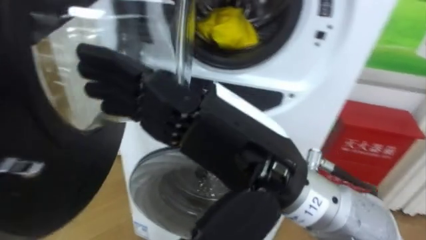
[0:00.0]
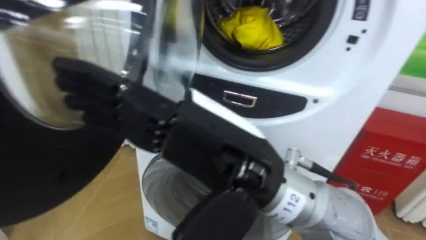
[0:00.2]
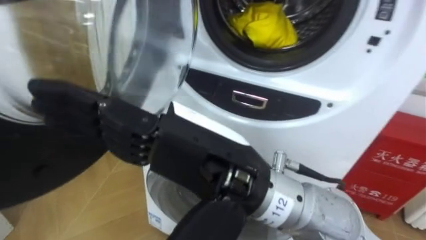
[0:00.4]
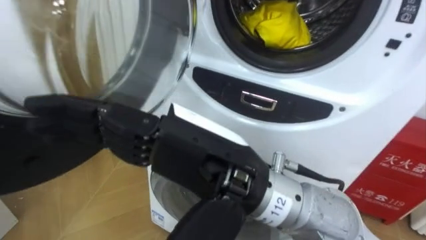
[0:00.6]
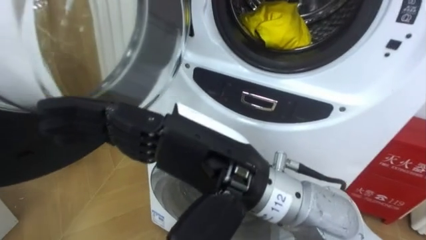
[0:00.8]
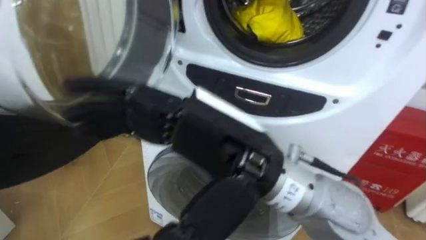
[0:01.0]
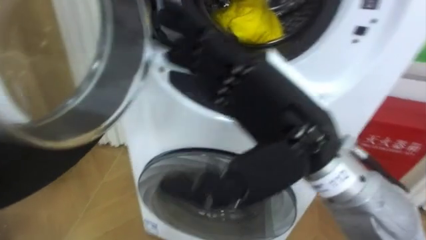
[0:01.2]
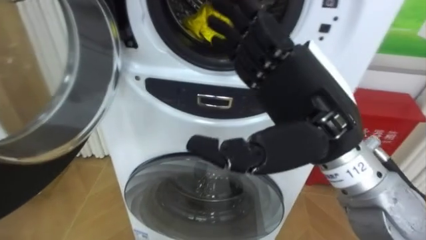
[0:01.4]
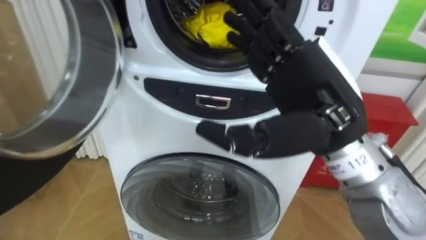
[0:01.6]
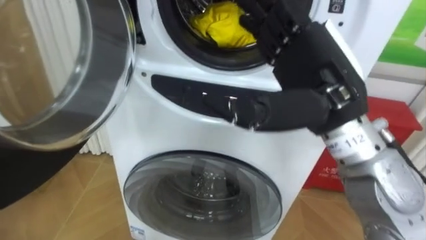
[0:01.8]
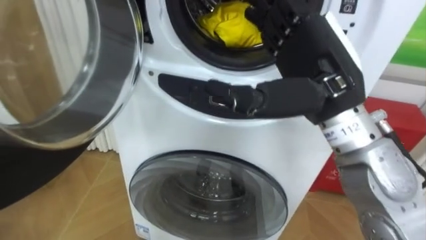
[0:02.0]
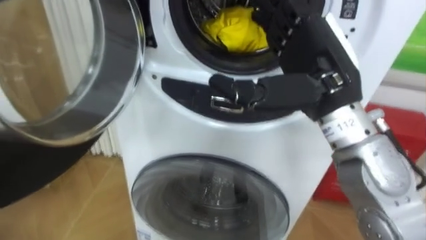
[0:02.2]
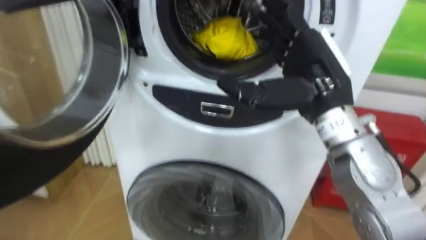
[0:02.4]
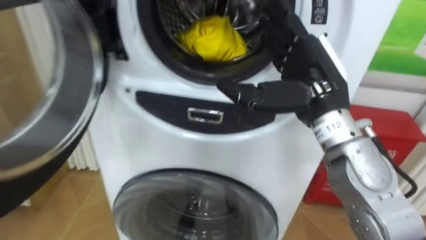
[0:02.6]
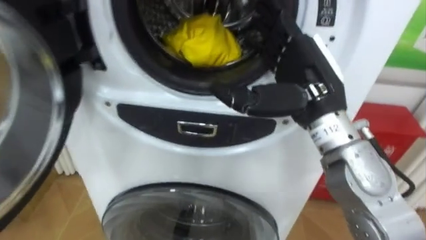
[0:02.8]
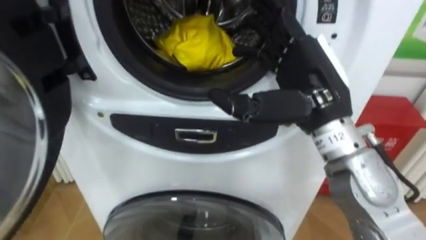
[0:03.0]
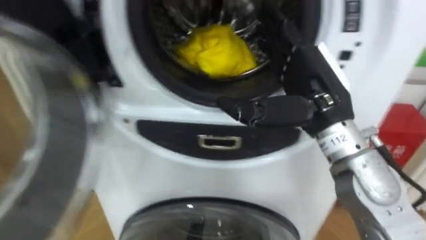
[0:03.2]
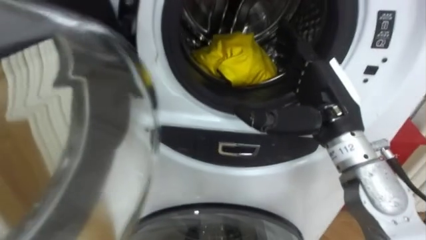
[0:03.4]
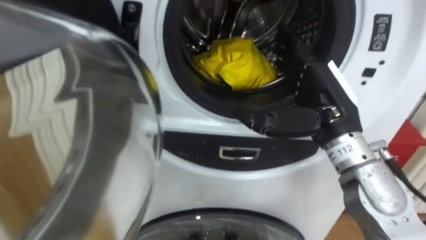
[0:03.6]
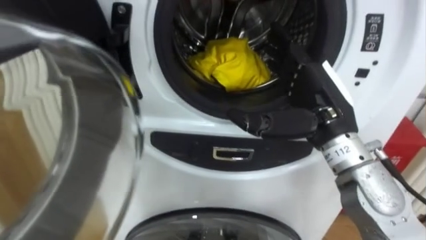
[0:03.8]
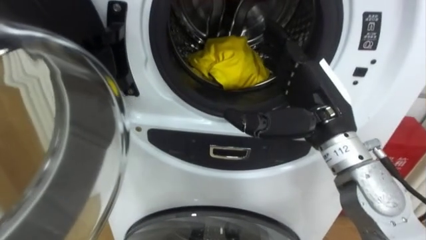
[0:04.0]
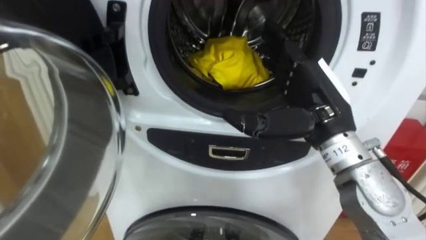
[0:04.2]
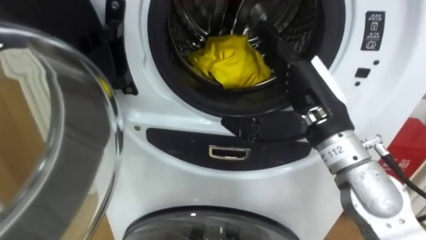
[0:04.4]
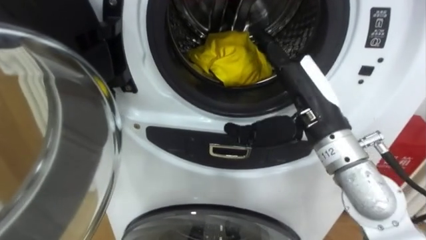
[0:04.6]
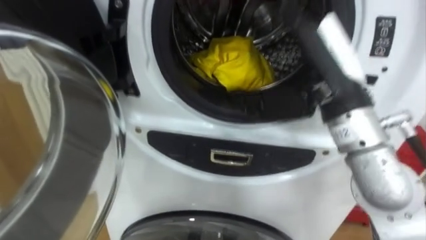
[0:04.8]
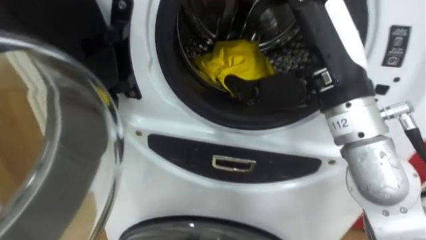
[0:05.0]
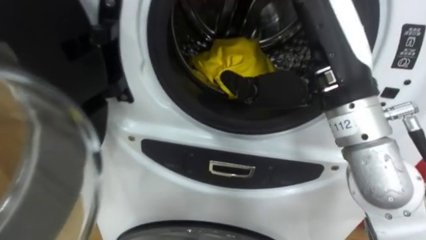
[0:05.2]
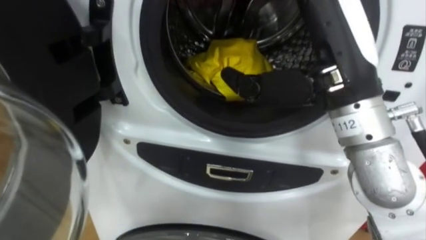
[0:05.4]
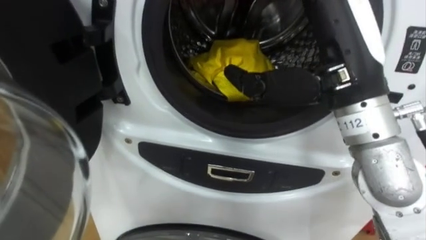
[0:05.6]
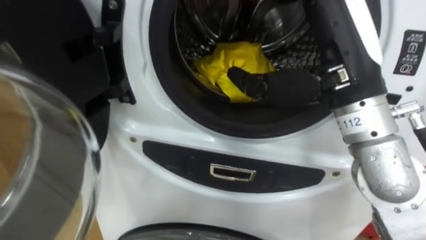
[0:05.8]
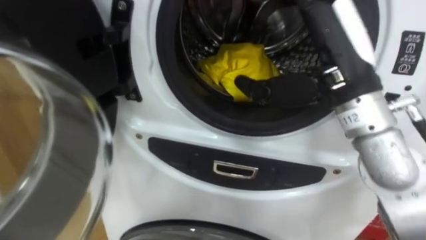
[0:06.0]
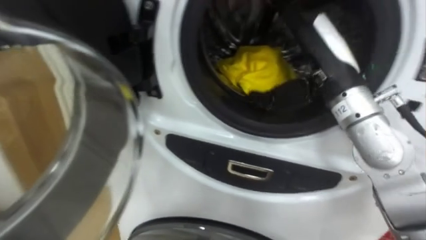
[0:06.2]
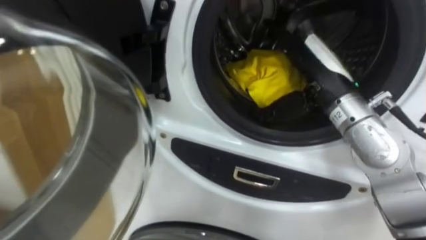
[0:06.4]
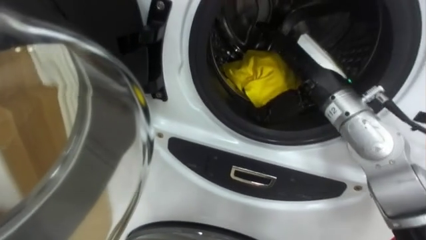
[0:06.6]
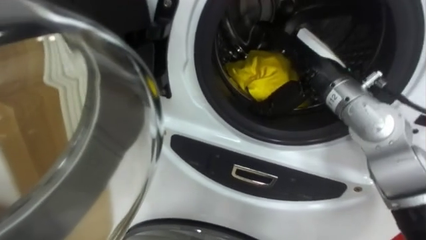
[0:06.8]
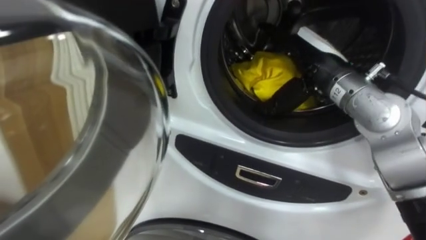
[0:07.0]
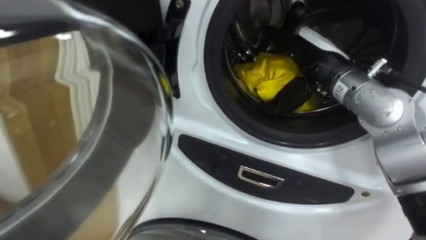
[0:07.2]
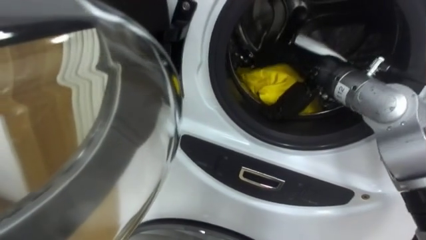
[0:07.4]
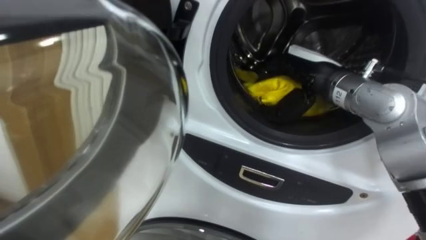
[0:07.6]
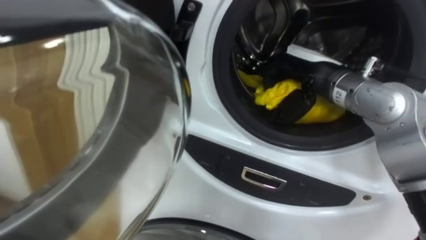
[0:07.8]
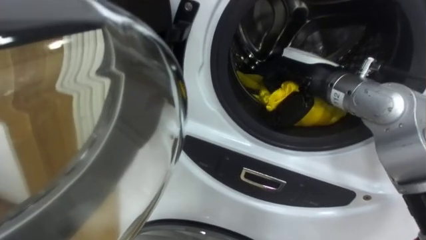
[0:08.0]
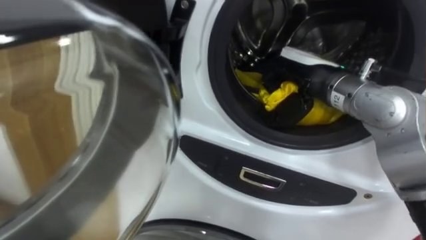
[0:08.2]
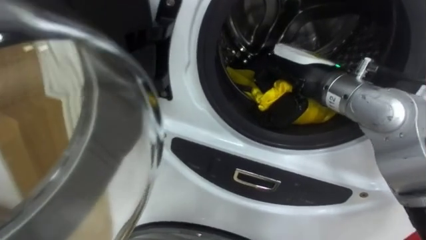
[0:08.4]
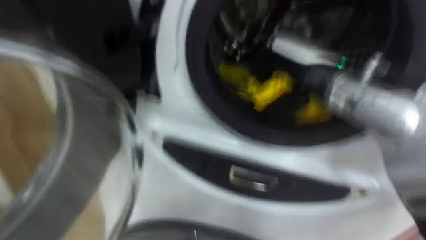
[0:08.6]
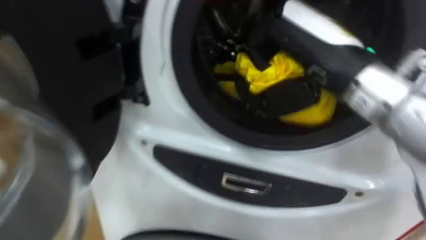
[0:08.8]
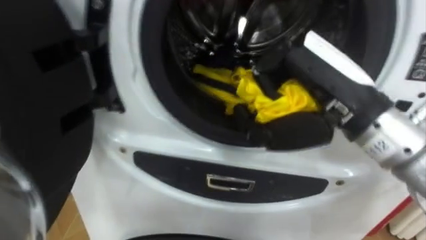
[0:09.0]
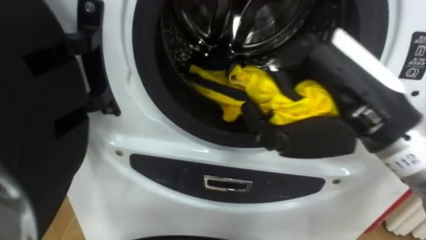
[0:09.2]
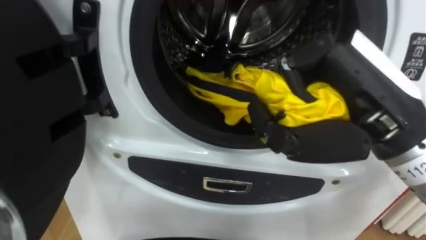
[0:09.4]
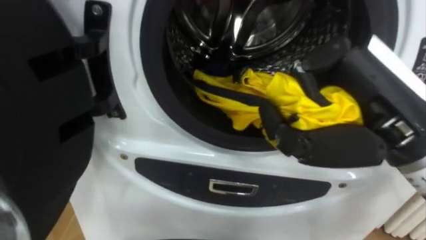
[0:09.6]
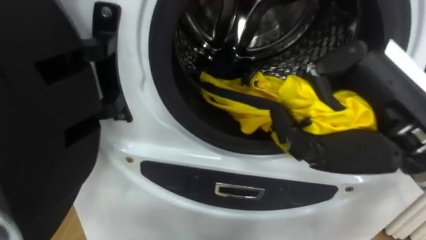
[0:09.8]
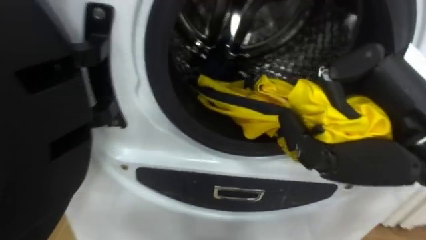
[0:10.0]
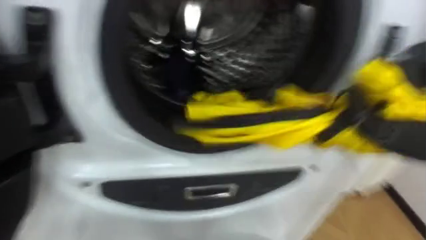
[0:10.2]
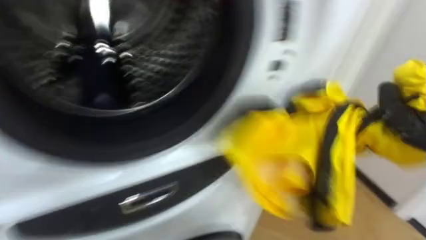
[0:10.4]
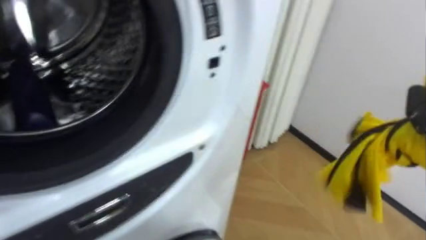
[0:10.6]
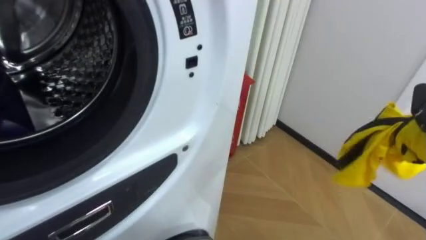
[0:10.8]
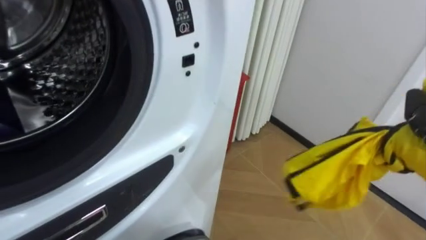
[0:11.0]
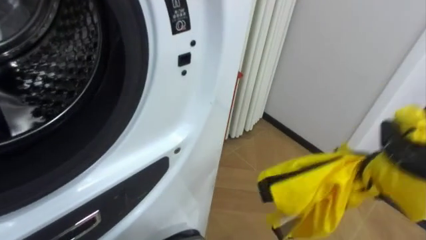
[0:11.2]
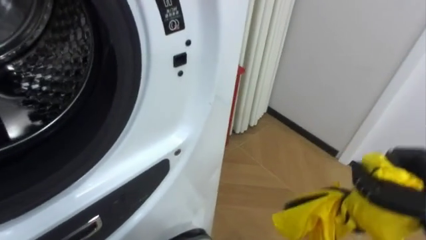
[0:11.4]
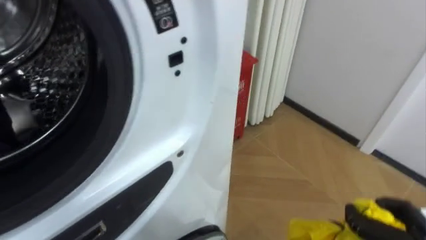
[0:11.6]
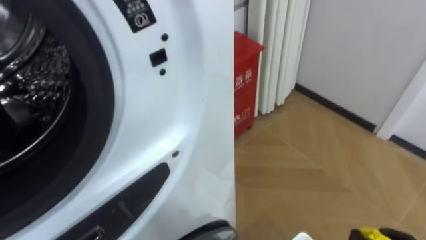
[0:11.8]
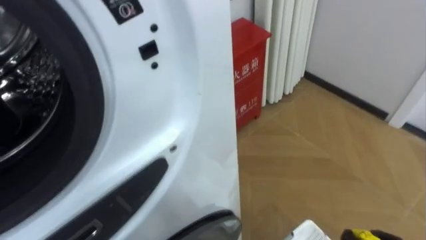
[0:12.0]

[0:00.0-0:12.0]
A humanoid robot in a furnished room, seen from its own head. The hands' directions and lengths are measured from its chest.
Task of the whole recording: Open the washing machine door, take out the yellow clothes, place them in the box on the right, and close the washing machine door.
0:00.0 to 0:01.6: The right hand moves to the right and forward, approximately 10 cm.
0:04.4 to 0:06.0: The right hand travels upward by roughly 5 cm.
0:06.0 to 0:07.6: The right hand moves forward and downward, roughly 10 cm, and closes up.
0:07.6 to 0:09.0: The right hand goes about 15 cm backward and upward.

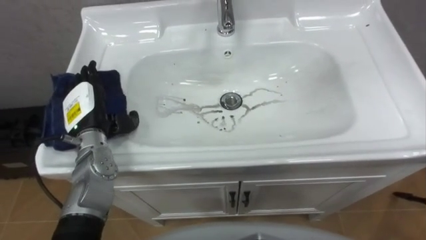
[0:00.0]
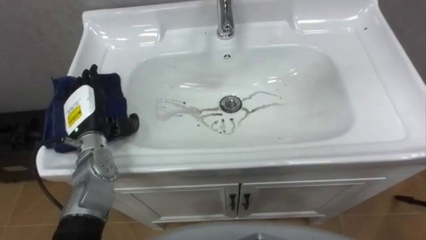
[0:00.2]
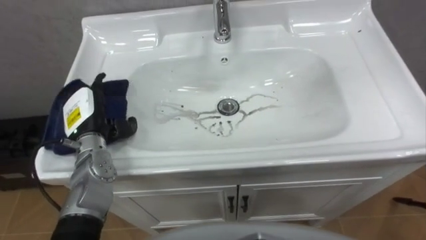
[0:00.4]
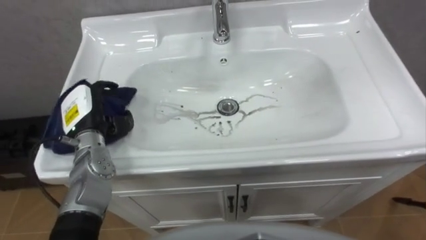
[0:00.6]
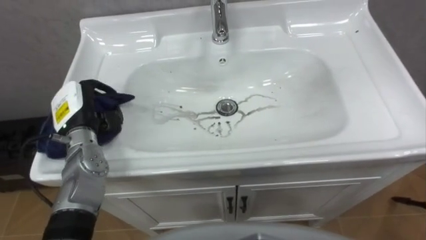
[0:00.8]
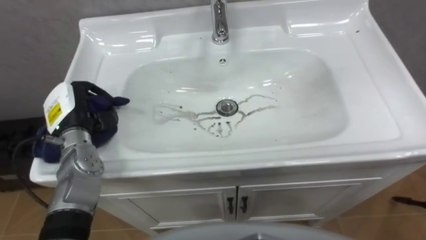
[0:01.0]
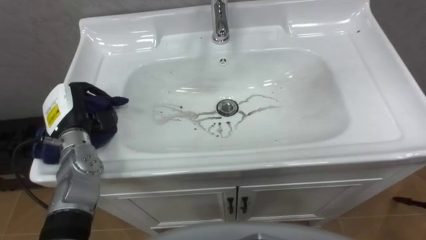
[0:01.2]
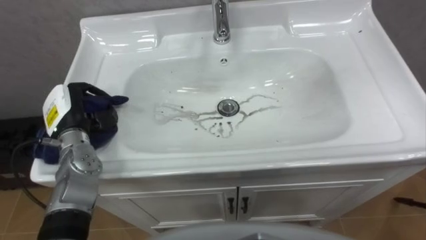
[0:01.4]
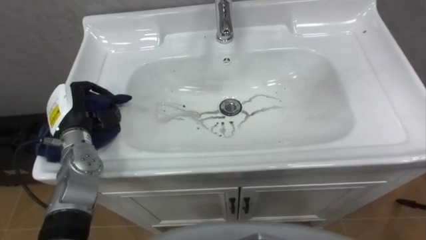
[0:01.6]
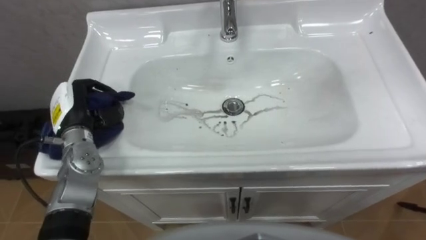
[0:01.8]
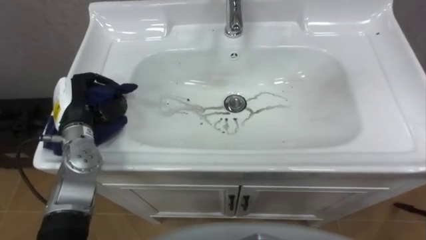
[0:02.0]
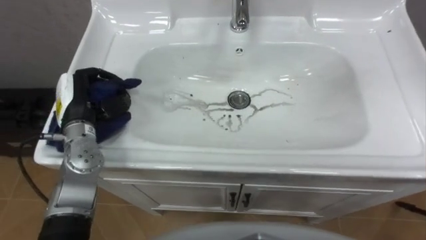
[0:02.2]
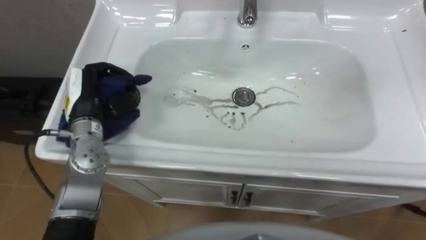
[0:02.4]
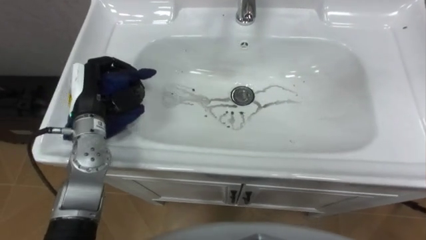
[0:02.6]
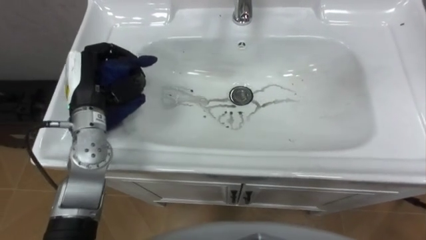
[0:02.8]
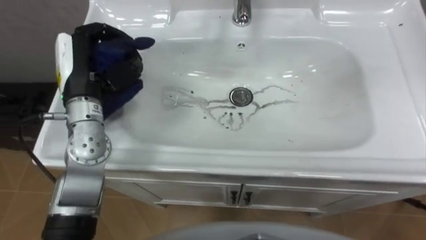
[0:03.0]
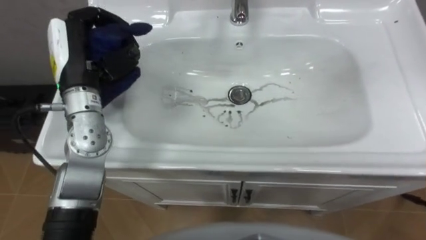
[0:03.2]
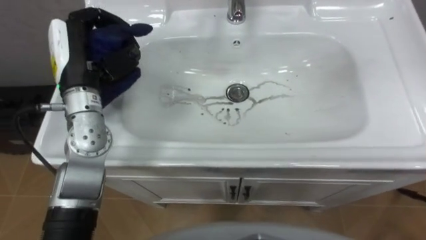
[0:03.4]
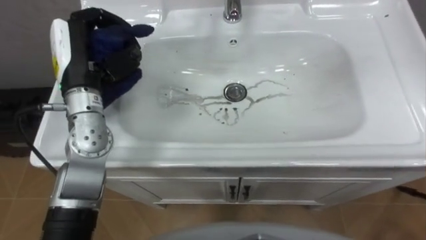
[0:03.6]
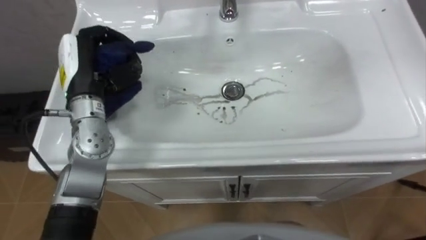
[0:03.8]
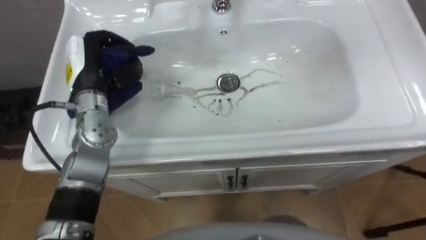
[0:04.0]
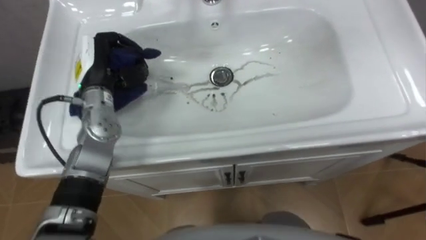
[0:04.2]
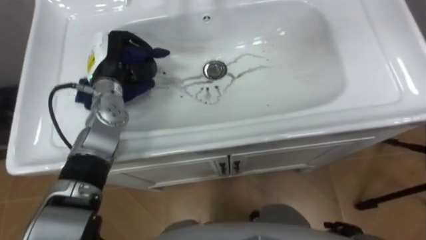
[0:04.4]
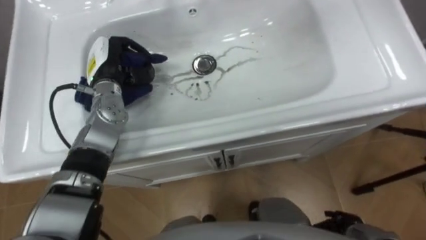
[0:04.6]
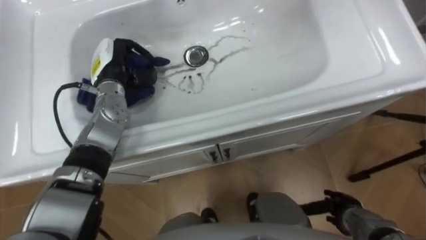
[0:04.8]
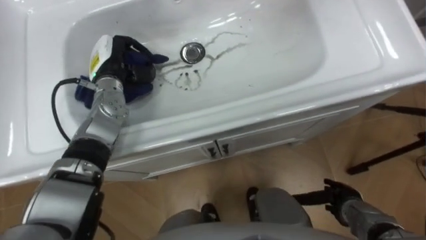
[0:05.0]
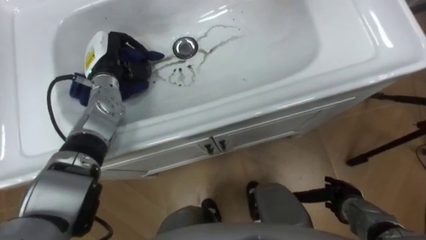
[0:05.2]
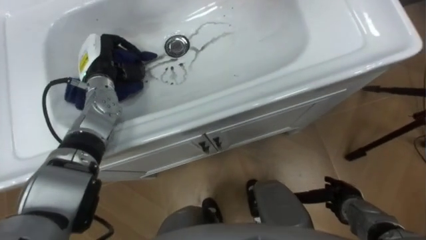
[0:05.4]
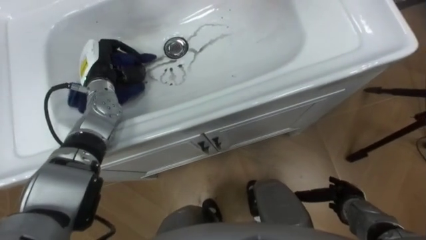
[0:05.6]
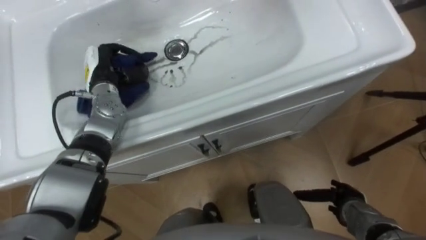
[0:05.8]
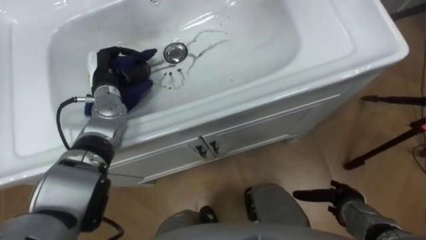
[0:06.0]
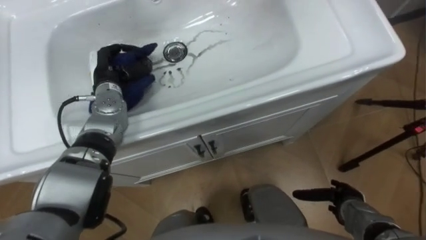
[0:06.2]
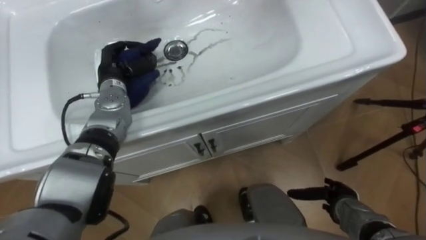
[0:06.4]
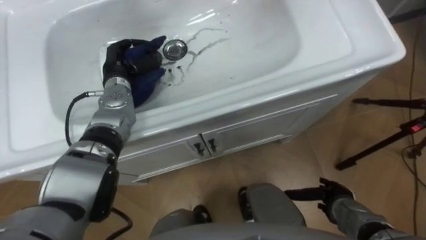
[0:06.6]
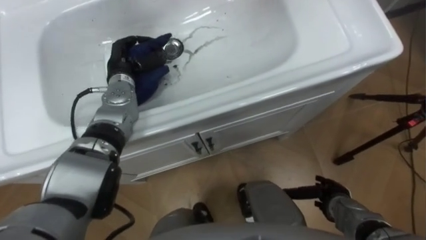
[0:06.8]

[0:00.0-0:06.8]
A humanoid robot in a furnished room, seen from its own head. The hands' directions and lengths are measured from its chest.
Task of the whole recording: Use the cloth on the right to wipe away the black stain in the sink.
0:00.0 to 0:01.4: The left hand closes its fingers.
0:01.4 to 0:02.8: The left hand moves upward and to the right, about 10 cm.
0:04.0 to 0:05.4: The left hand moves forward and downward, roughly 10 cm.
0:05.4 to 0:06.8: The left hand moves roughly 5 cm.
